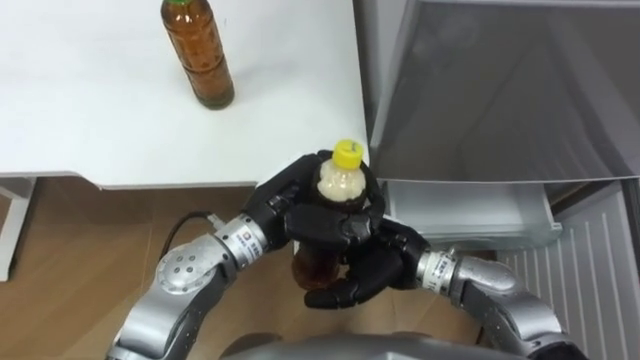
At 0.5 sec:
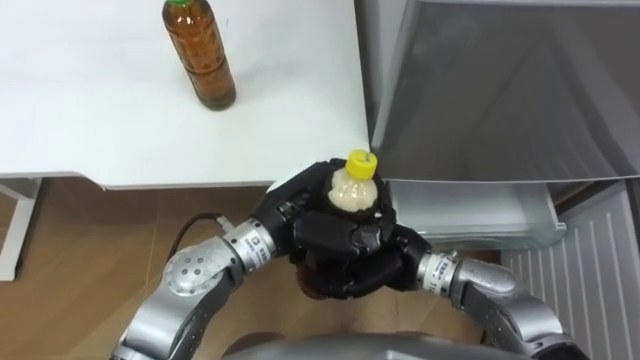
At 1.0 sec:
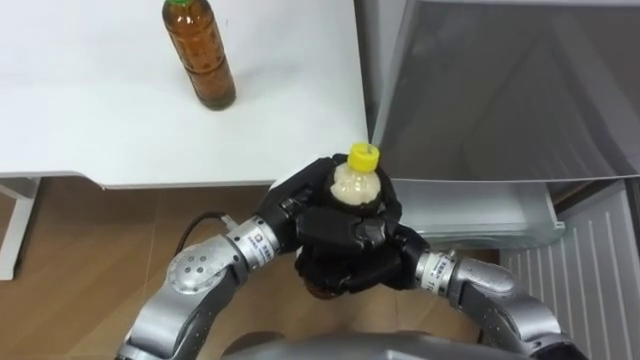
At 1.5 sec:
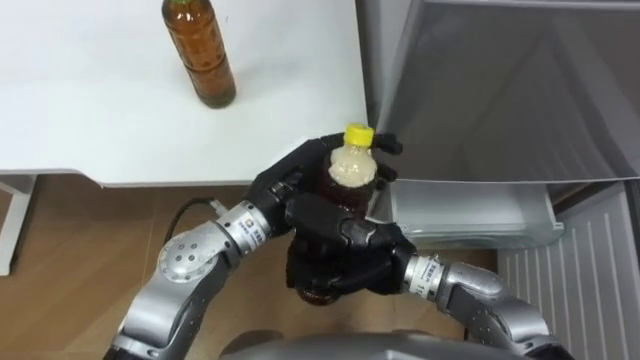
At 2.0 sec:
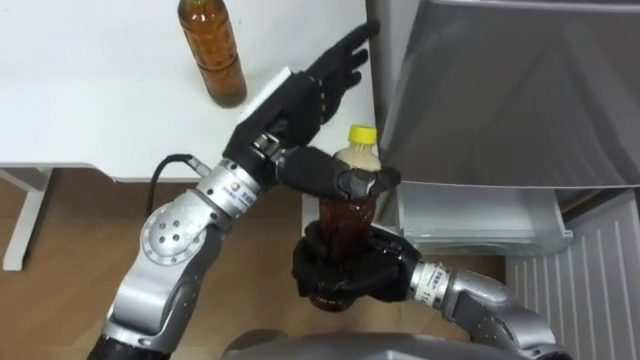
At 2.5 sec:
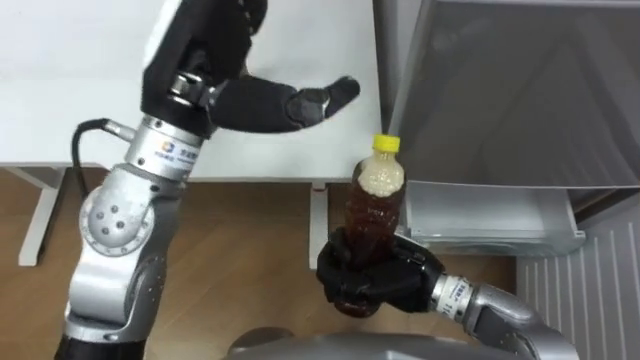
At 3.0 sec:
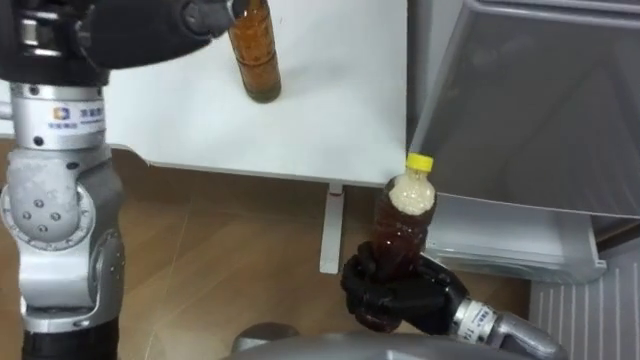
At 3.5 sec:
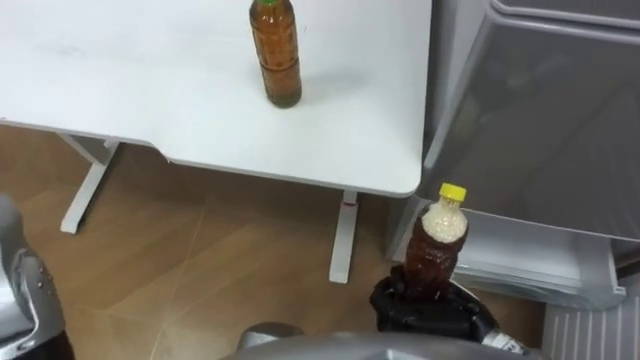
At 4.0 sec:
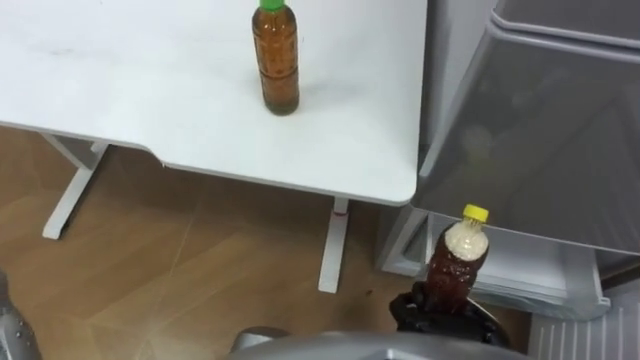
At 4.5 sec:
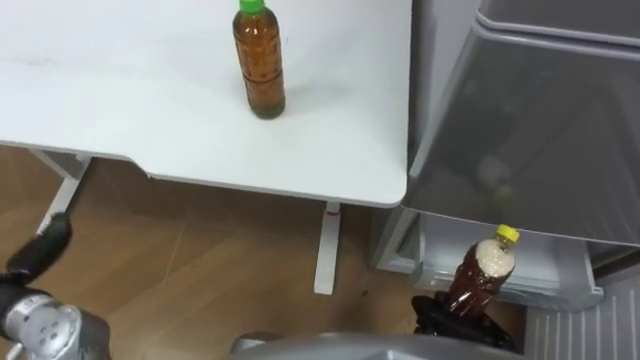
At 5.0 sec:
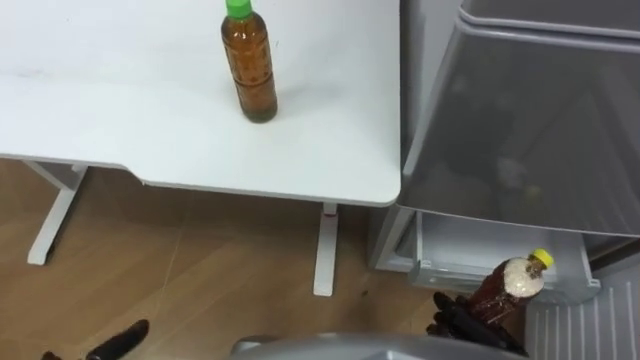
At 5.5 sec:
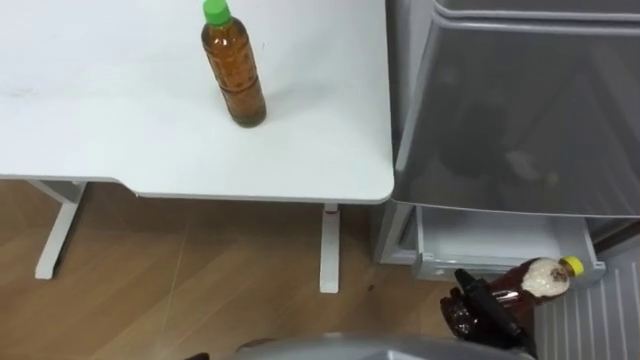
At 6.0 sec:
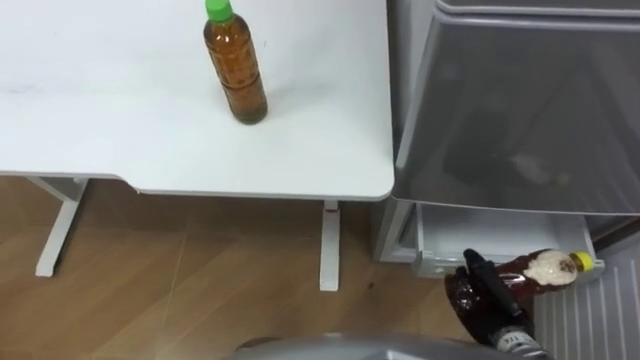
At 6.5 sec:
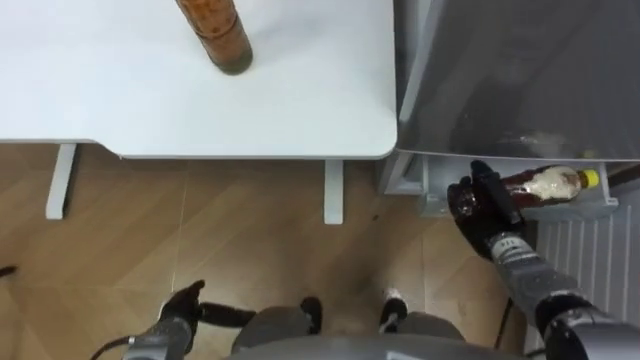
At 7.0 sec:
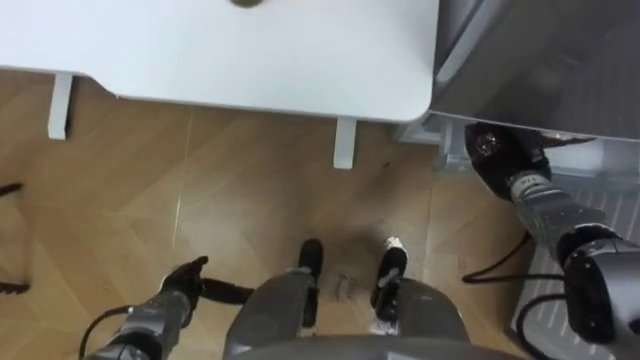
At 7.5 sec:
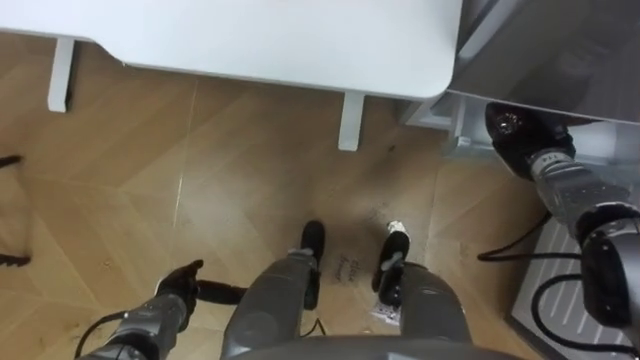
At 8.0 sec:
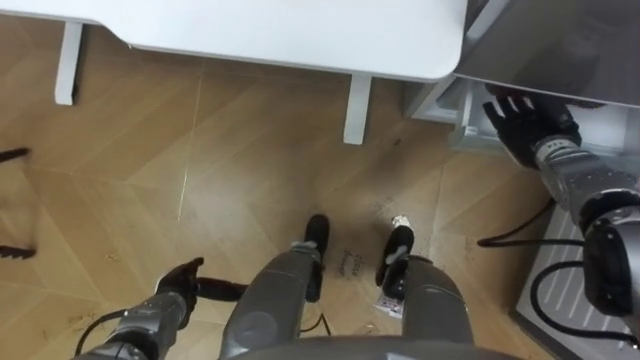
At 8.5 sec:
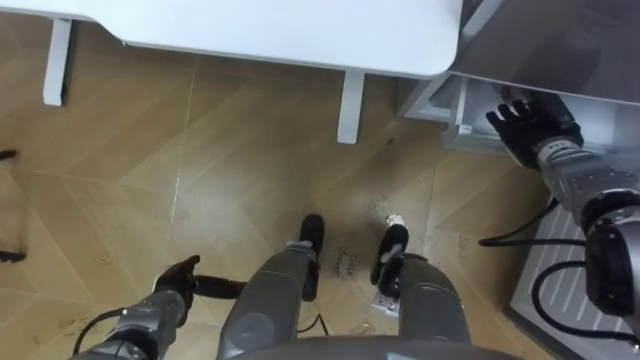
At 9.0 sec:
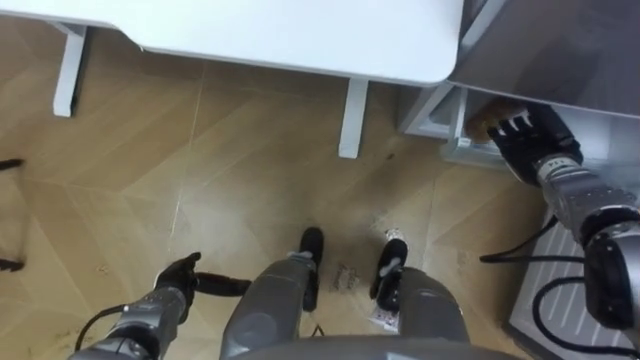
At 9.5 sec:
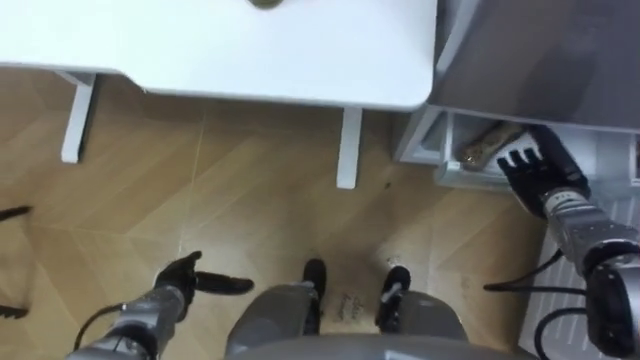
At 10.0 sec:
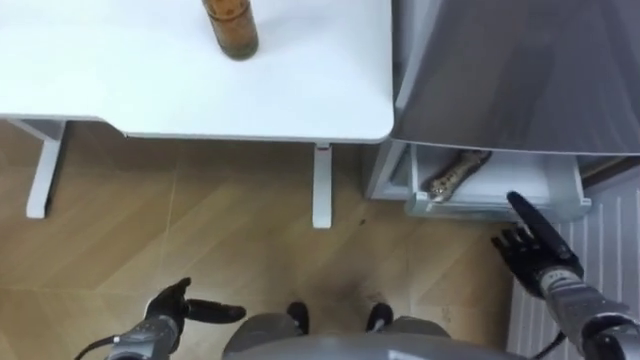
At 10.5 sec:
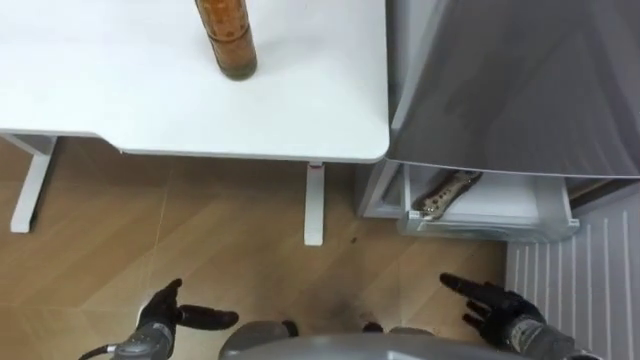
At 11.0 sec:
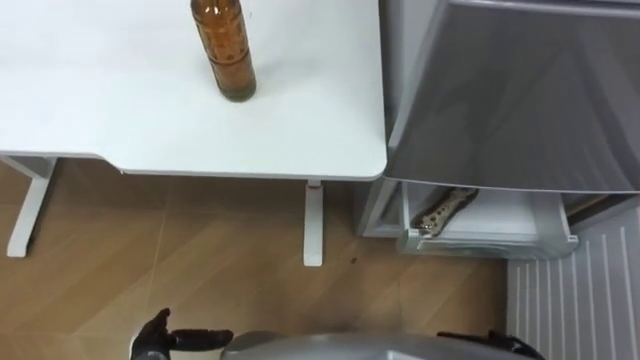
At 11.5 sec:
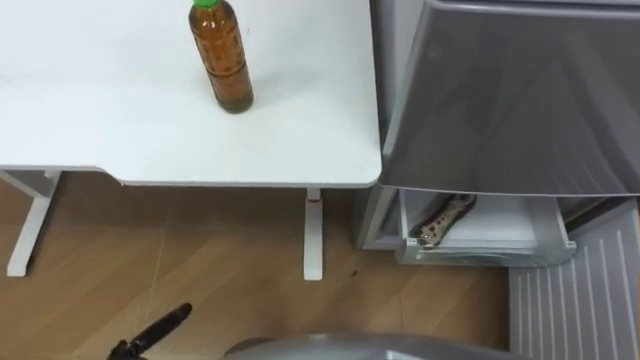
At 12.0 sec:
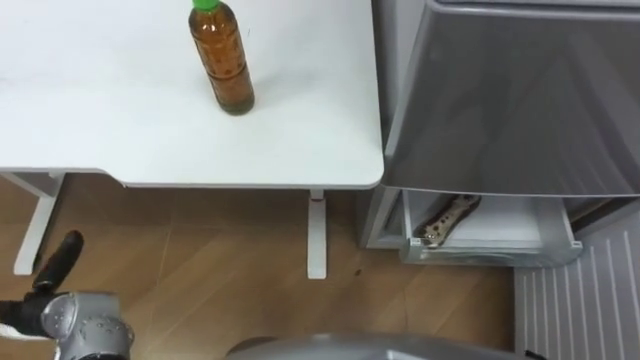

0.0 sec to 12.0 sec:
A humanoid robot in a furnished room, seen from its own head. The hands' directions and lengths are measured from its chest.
Task of the whole recording: Place the drink on the table on the bottom shelf of the refrigerator, then close the drawer and the refrigerator door.
0.0 sec to 2.0 sec: The right hand closes its fingers. The left hand shifts some 10 cm upward, and opens.
2.0 sec to 4.0 sec: The right hand moves to the right, downward and backward, some 20 cm.
4.0 sec to 6.0 sec: The right hand goes about 10 cm to the right and downward.
6.0 sec to 8.0 sec: The right hand travels forward and upward by approximately 30 cm, and opens.
8.0 sec to 10.0 sec: The right hand travels backward and downward by about 20 cm.

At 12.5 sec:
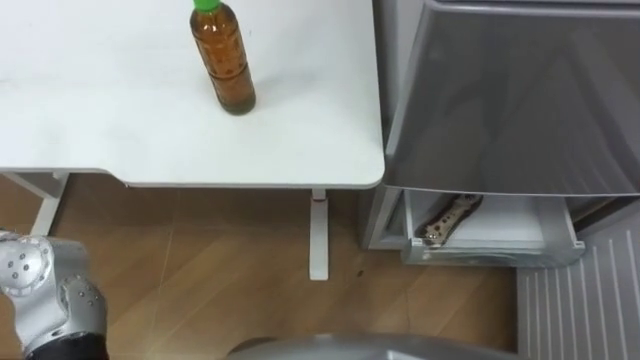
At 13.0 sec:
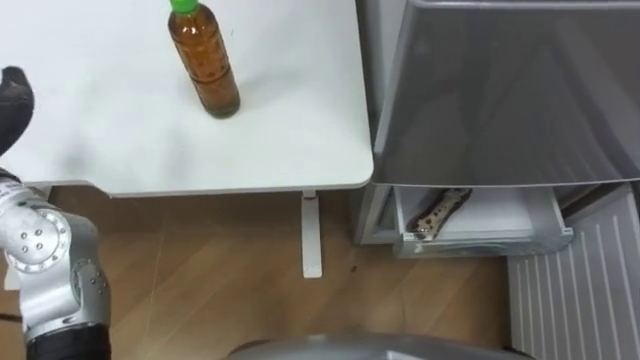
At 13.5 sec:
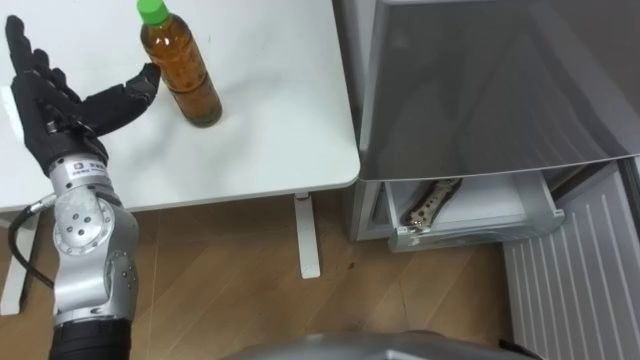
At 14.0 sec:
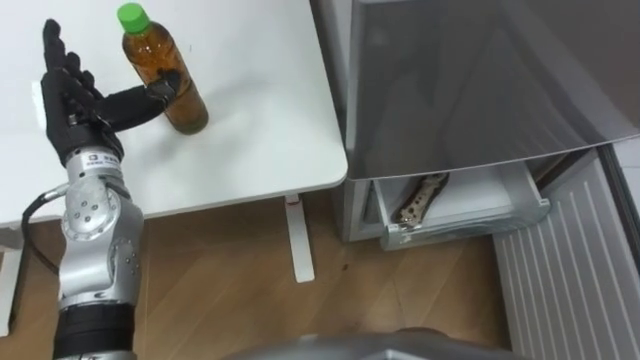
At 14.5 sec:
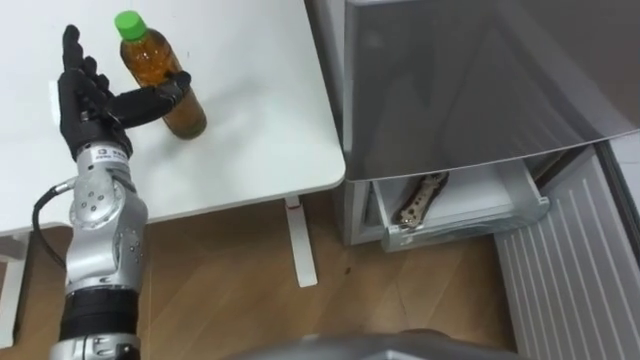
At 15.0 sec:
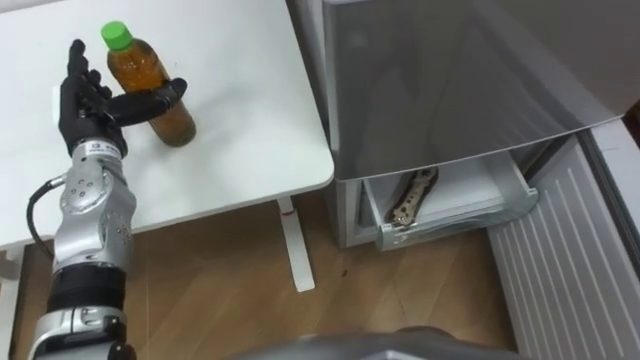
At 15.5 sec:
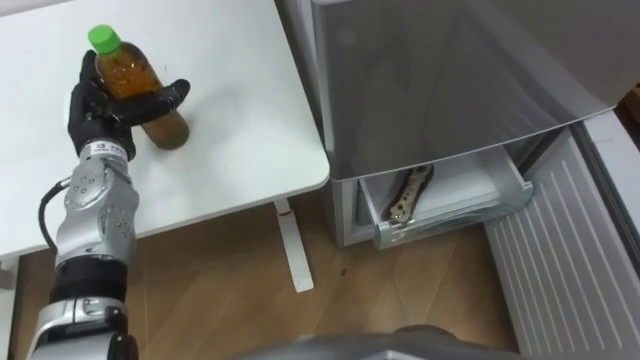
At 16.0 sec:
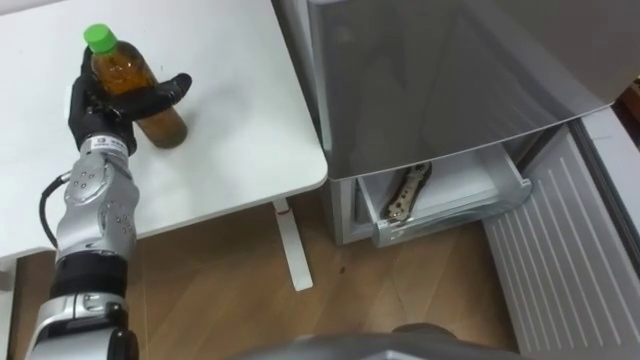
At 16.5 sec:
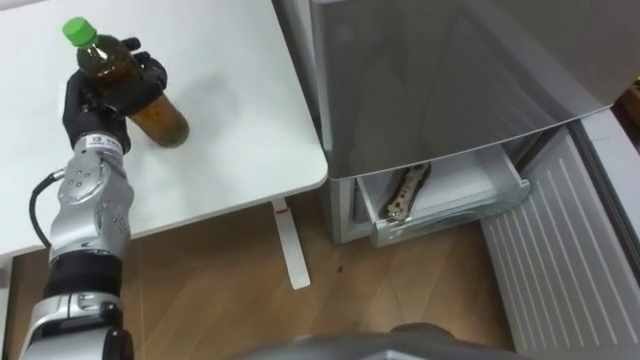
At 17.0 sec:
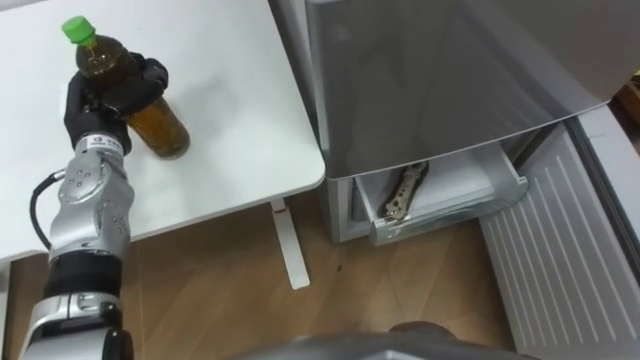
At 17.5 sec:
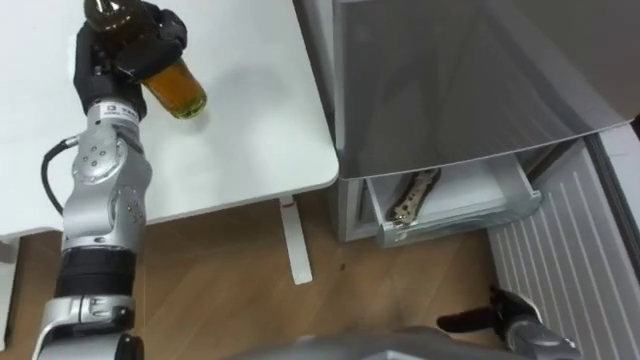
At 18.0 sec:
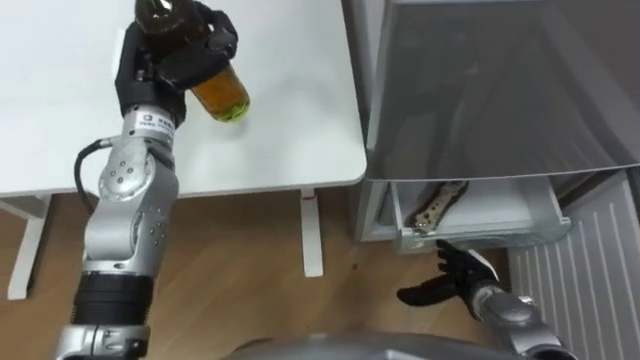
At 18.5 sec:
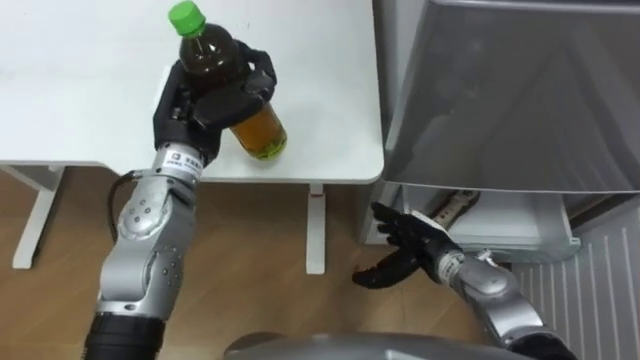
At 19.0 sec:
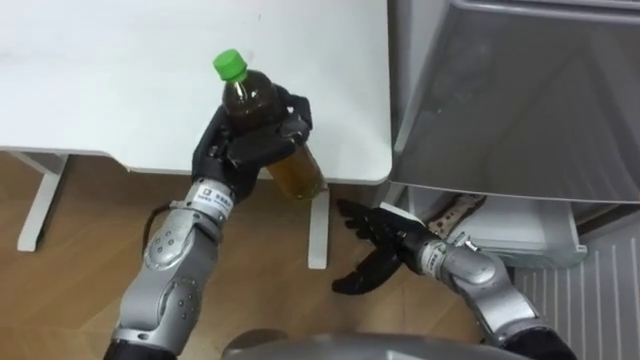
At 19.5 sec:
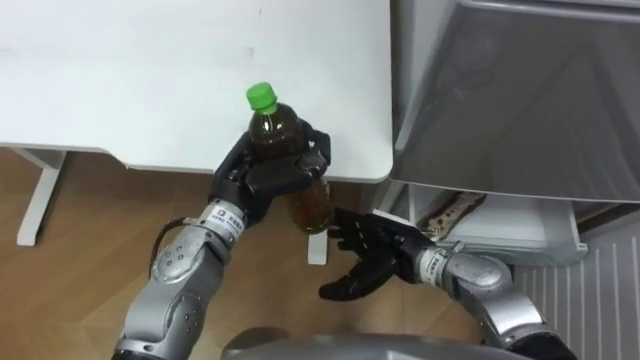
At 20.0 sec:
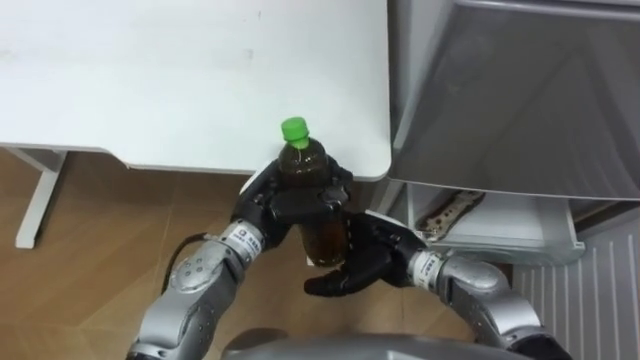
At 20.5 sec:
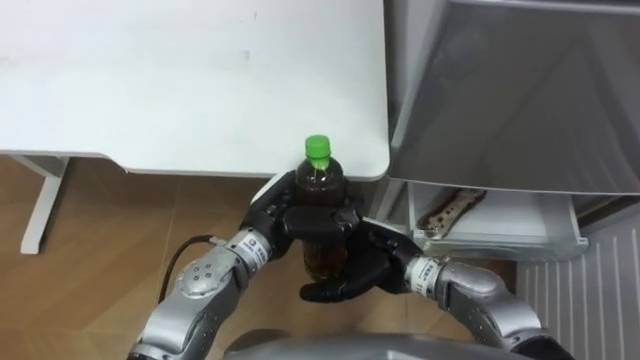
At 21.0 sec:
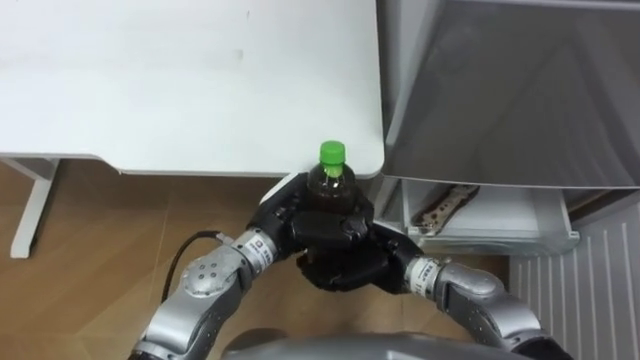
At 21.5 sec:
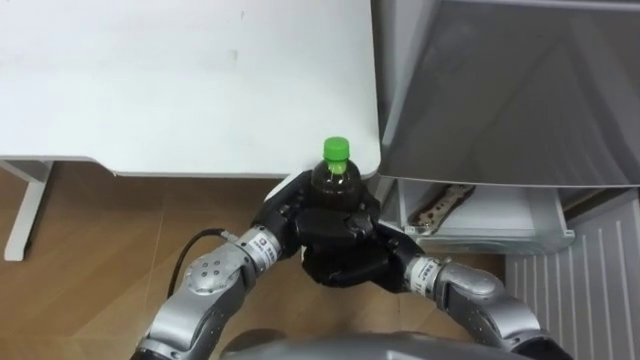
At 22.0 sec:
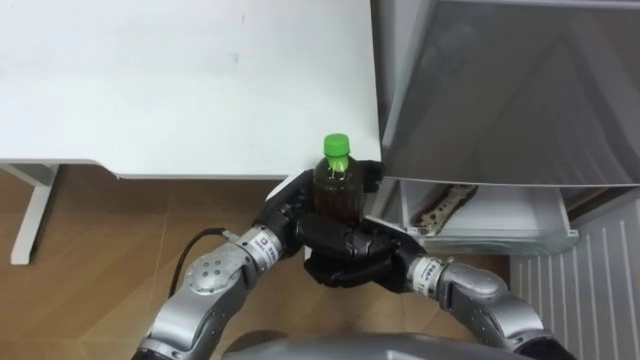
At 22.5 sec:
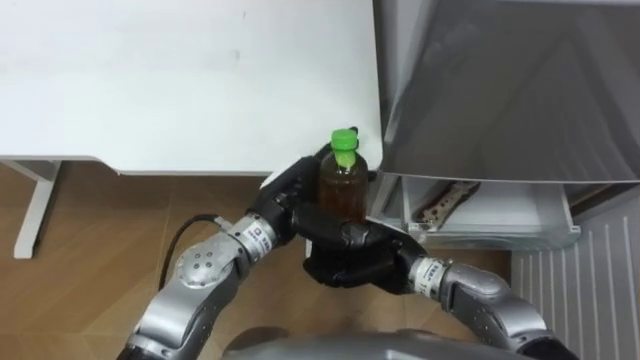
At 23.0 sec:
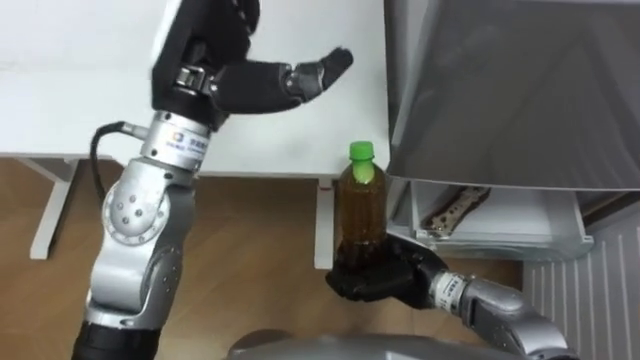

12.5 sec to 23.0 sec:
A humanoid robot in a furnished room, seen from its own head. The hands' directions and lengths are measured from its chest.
Task of the whole recording: Place the drink on the table on the bottom shelf of the refrigerator, then close the drawer and the refrigerator door.
14.5 sec to 16.5 sec: The left hand closes up.
16.5 sec to 19.0 sec: The left hand travels to the right by some 15 cm.
19.0 sec to 21.0 sec: The left hand goes roughly 10 cm to the right, downward and backward. The right hand closes its fingers.
21.0 sec to 23.0 sec: The left hand moves upward, roughly 20 cm, and opens.
